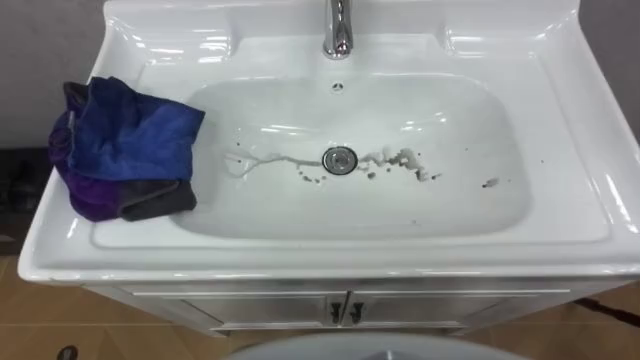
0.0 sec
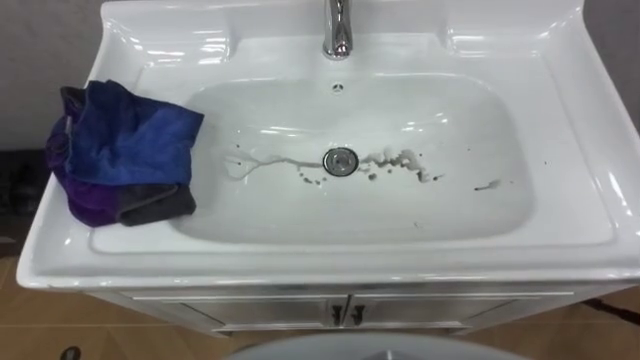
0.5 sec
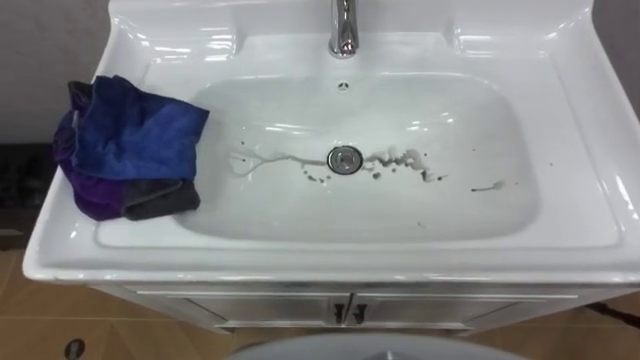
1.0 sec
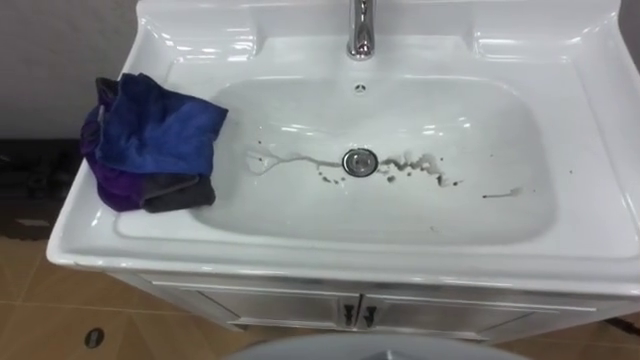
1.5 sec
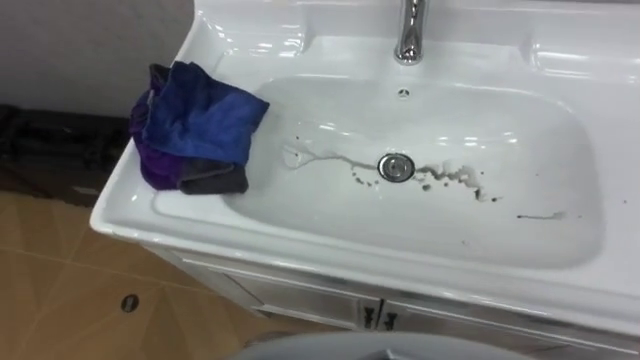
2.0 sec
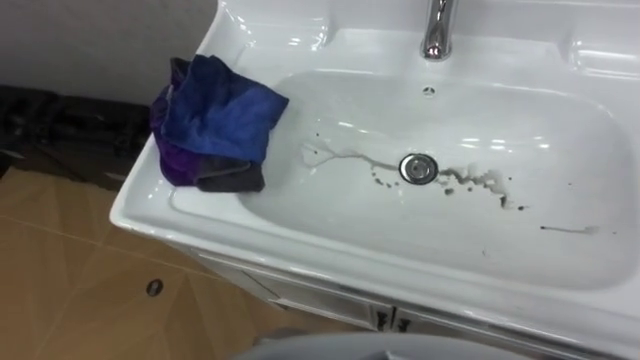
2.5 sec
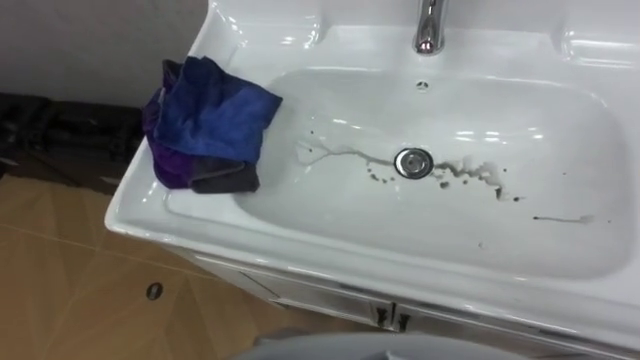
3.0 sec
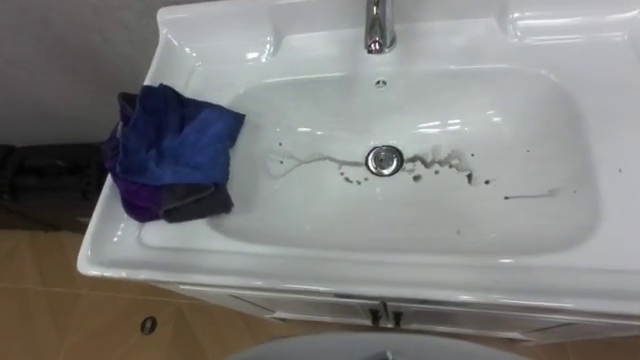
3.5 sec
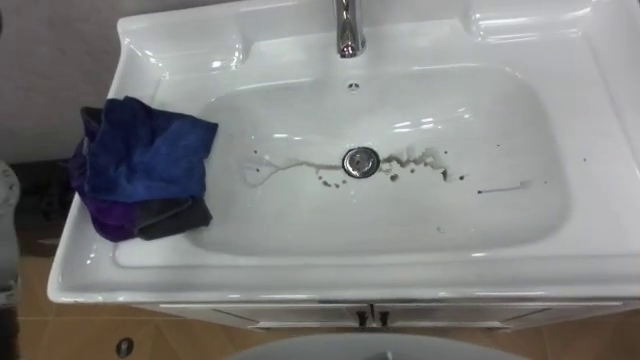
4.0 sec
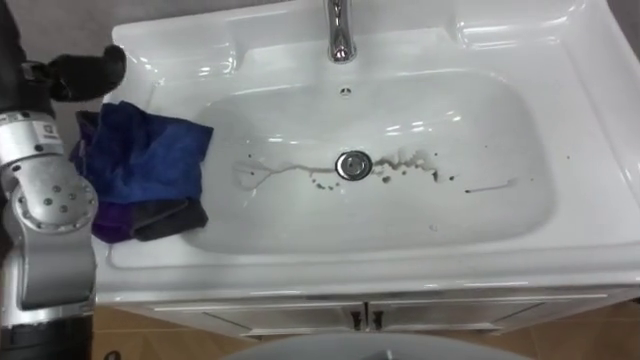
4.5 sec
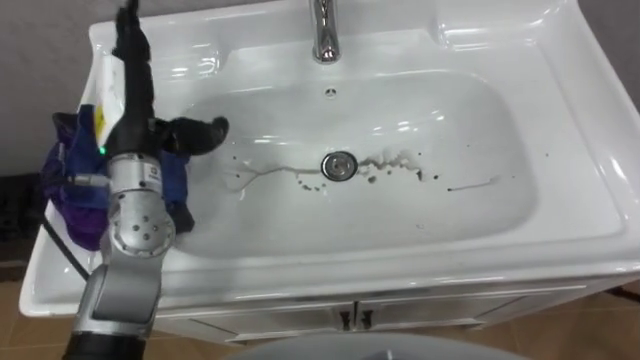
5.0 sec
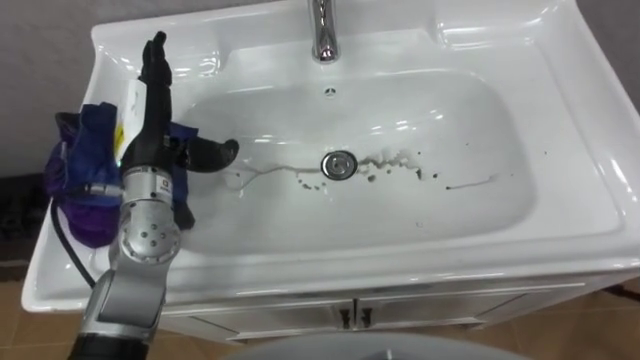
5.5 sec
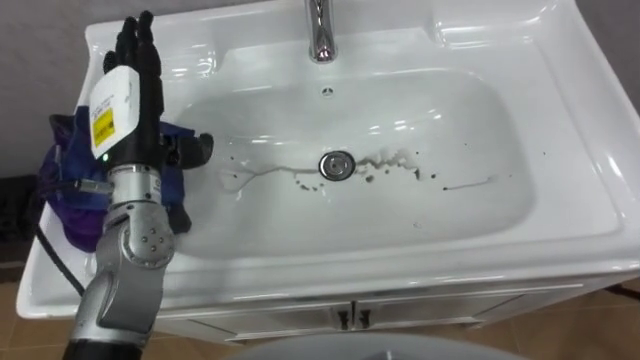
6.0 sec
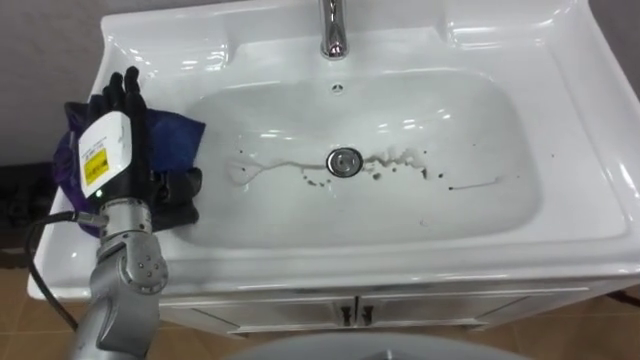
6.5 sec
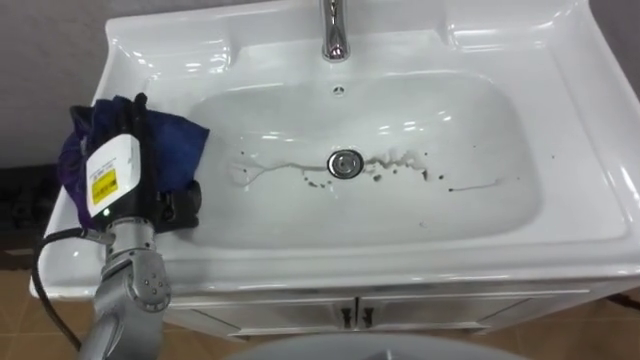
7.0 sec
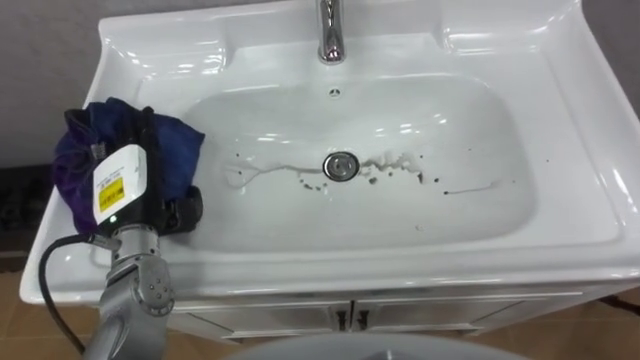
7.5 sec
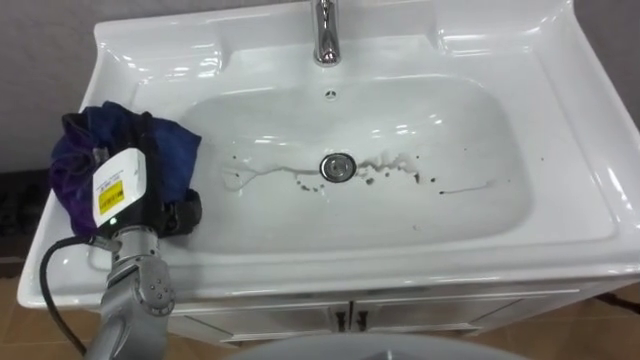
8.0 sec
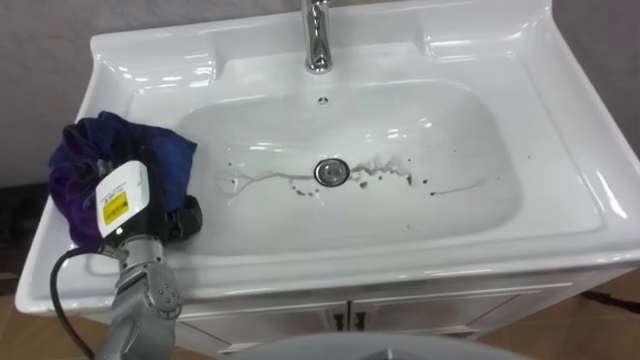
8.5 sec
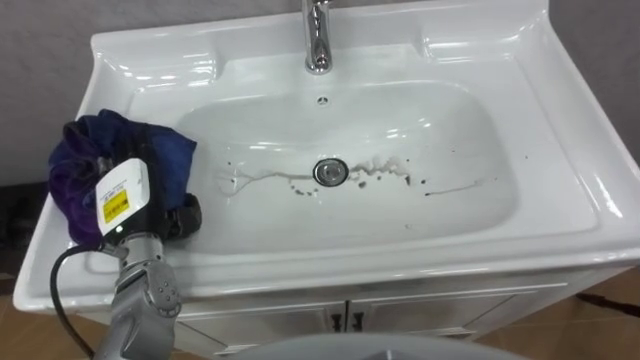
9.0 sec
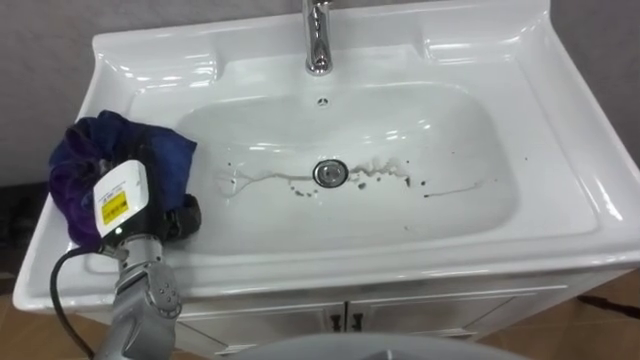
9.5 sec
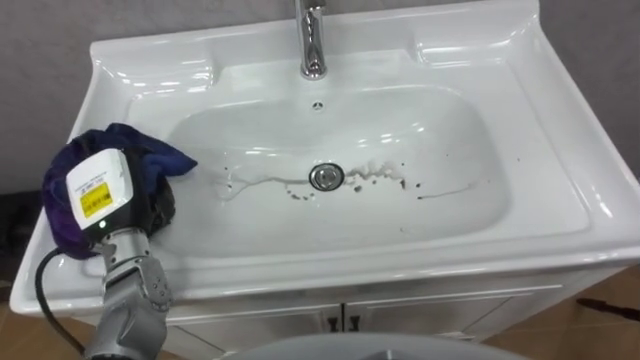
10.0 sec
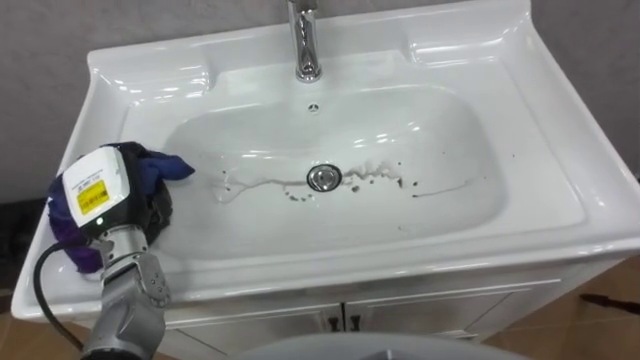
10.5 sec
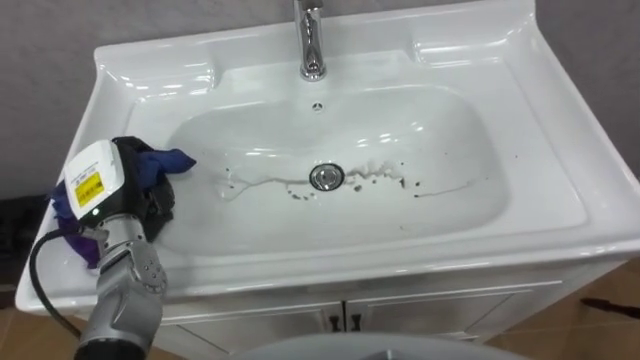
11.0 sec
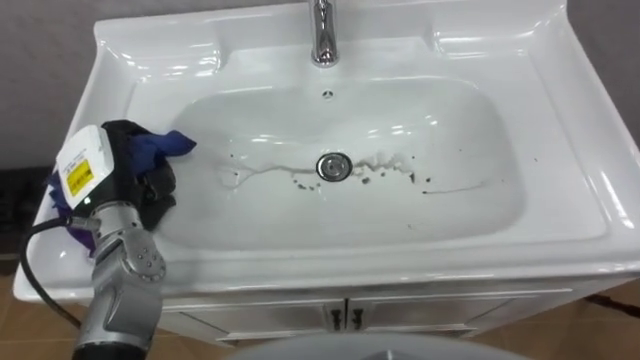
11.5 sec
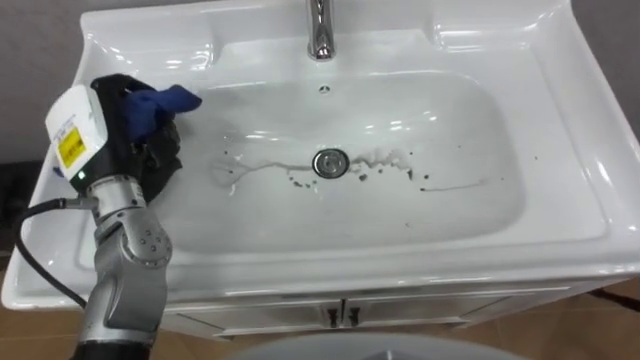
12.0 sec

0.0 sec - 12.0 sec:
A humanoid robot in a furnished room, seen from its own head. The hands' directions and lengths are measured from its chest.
Task of the whole recording: Use the cloth on the right to wipe away the black stain in the sink.
6.0 sec - 8.0 sec: The left hand shifts roughly 10 cm downward and backward.
8.0 sec - 10.0 sec: The left hand closes.
10.0 sec - 12.0 sec: The left hand travels upward by some 10 cm.

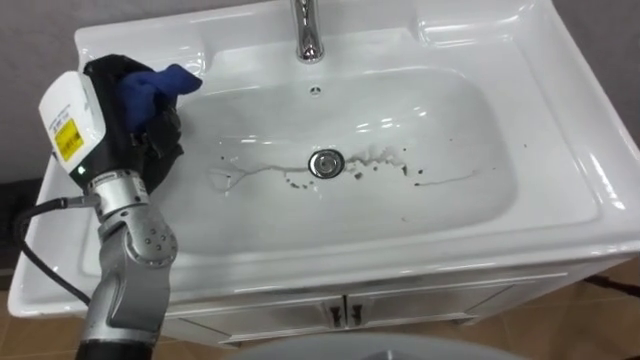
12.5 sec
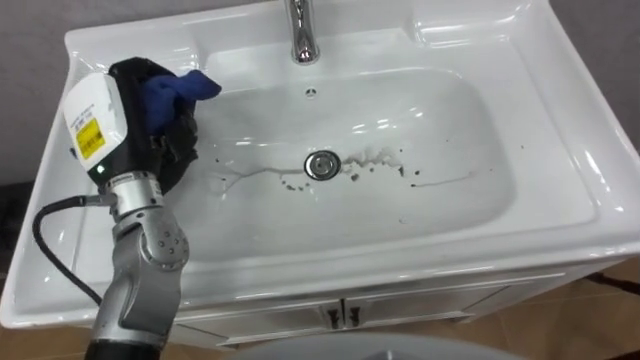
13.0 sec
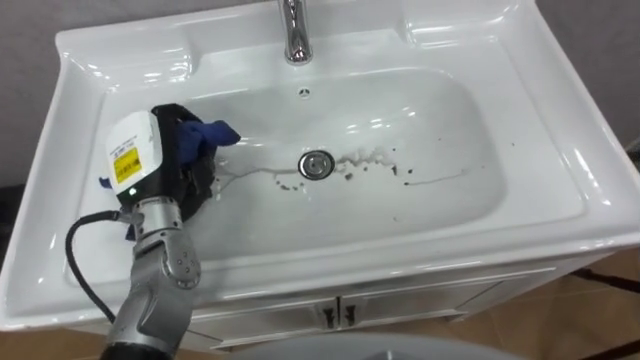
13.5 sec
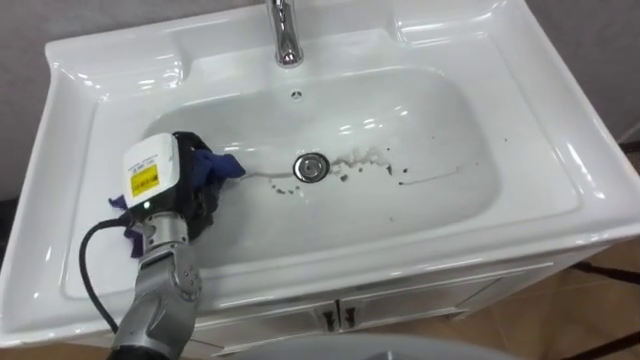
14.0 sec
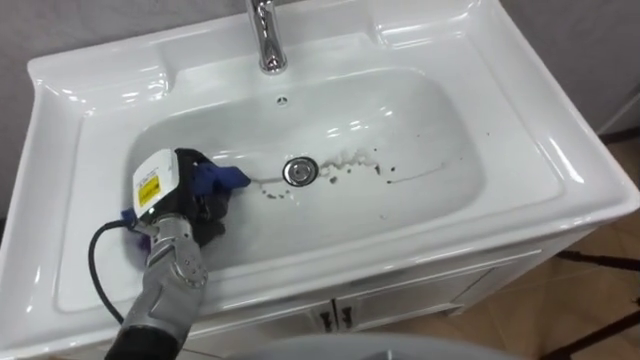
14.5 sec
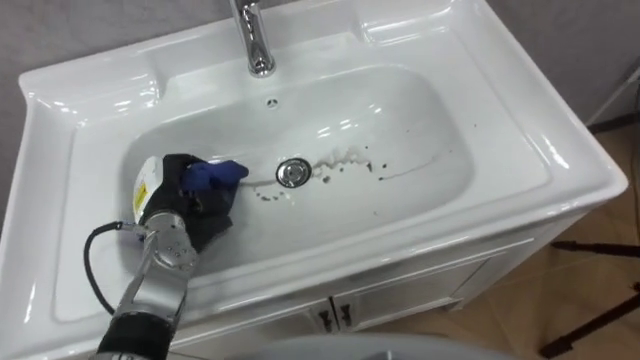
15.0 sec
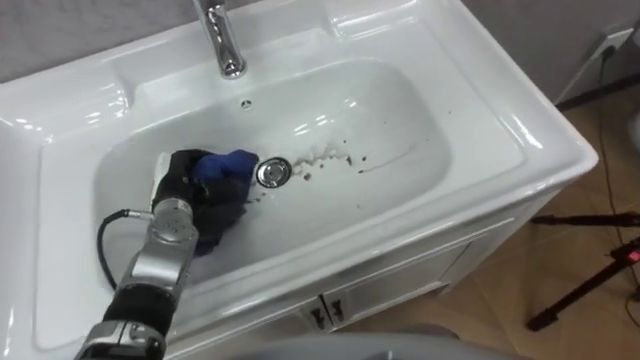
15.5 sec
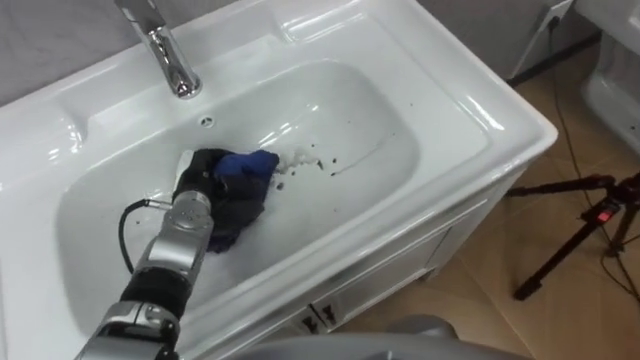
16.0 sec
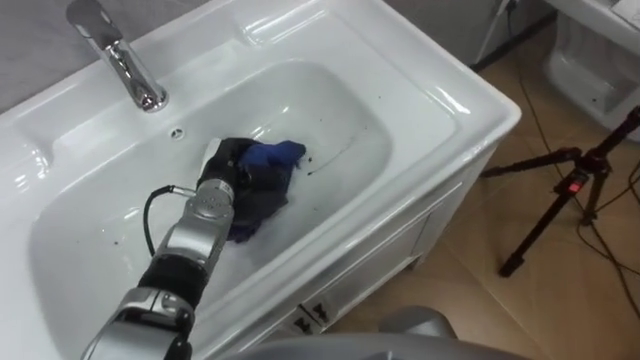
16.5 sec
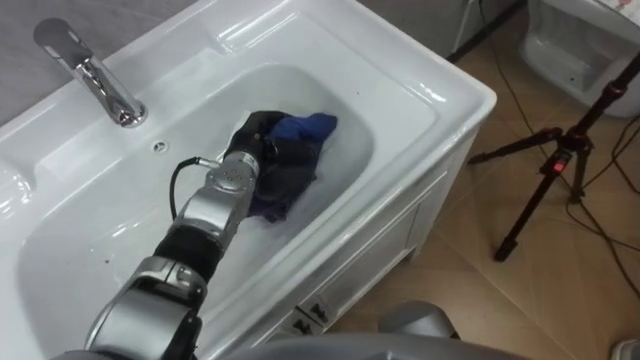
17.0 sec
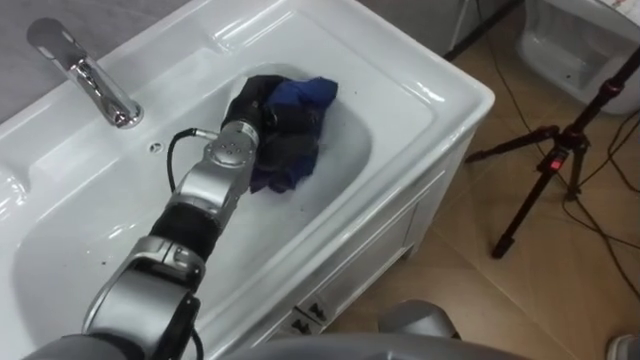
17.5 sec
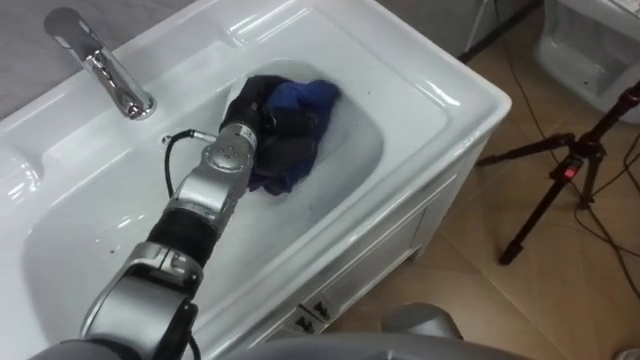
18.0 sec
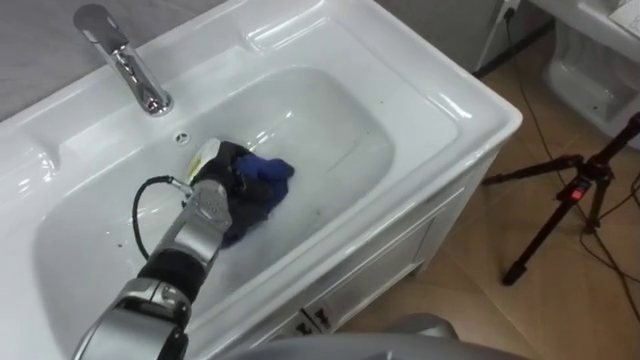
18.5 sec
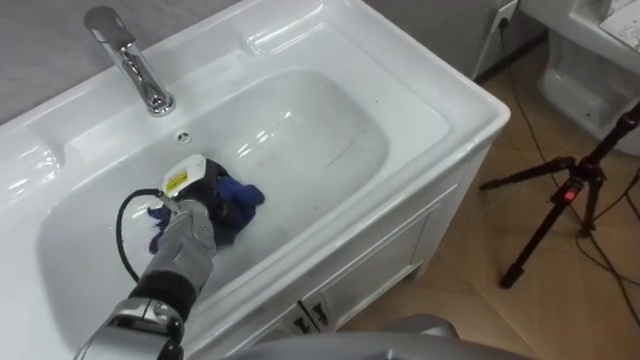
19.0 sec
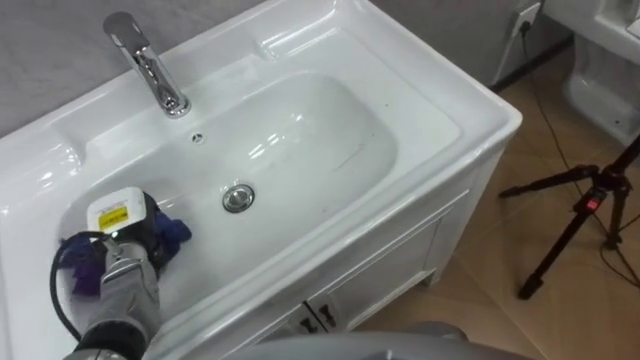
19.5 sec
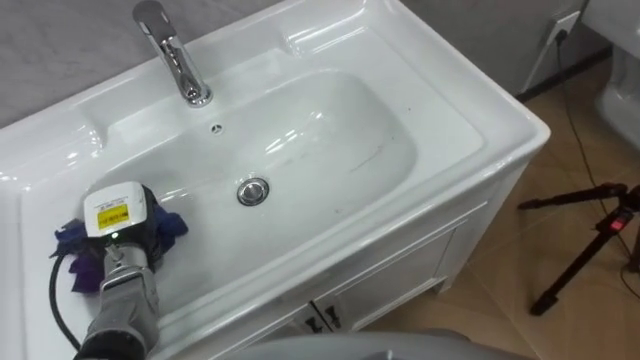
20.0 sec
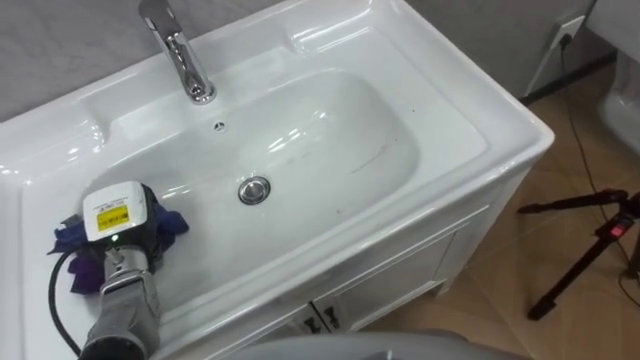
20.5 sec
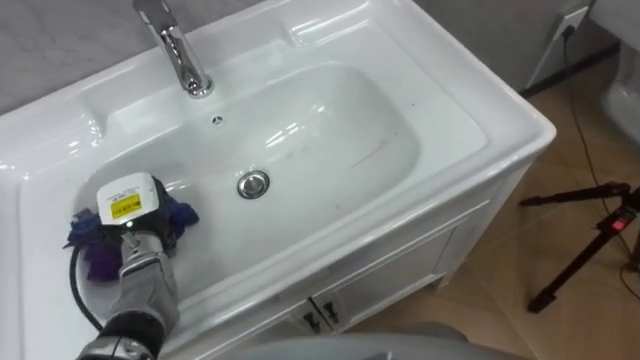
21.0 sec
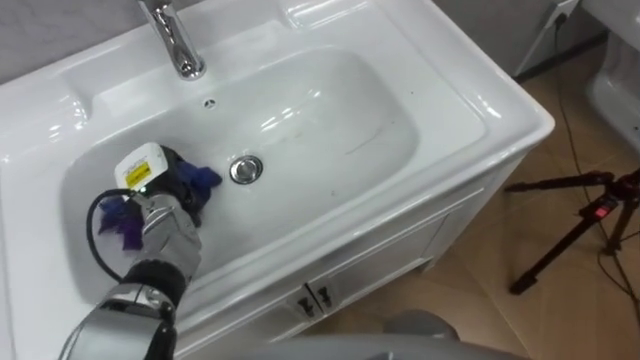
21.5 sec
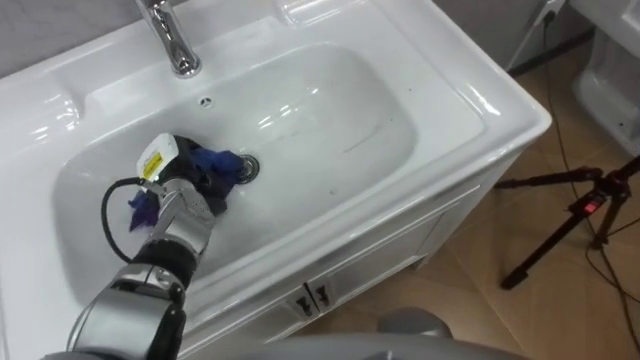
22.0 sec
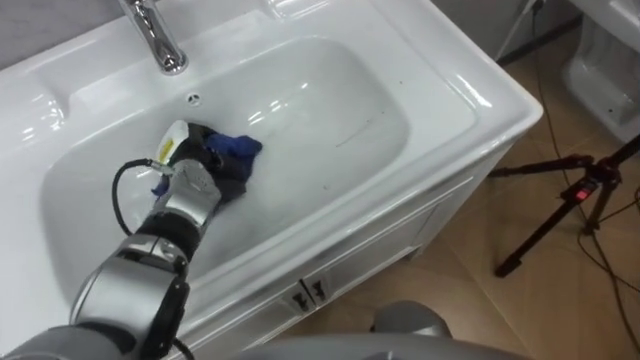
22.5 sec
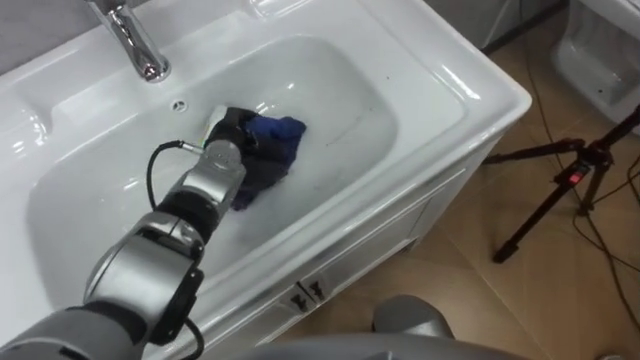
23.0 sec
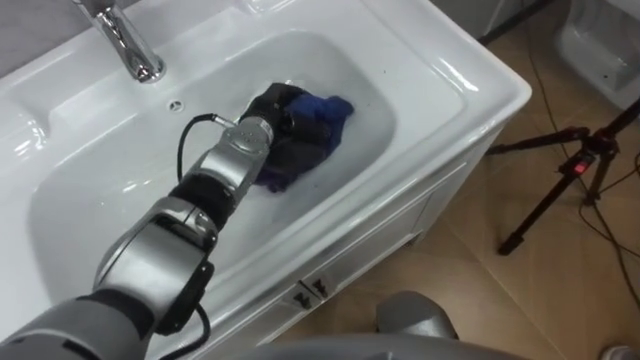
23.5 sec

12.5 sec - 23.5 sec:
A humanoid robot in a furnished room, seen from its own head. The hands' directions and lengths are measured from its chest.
Task of the whole recording: Use the cloth on the right to wipe away the black stain in the sink.
12.5 sec - 14.5 sec: The left hand travels downward by roughly 15 cm.
14.5 sec - 16.0 sec: The left hand shifts by about 5 cm.
16.0 sec - 18.0 sec: The left hand moves to the right, forward and upward, about 15 cm.
18.0 sec - 20.0 sec: The left hand heads to the left, backward and downward, covering some 25 cm.
20.0 sec - 21.5 sec: The left hand travels forward by about 5 cm.
21.5 sec - 23.5 sec: The left hand shifts roughly 20 cm to the right and forward.
